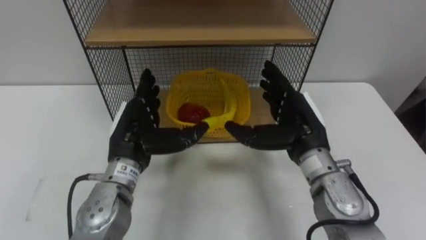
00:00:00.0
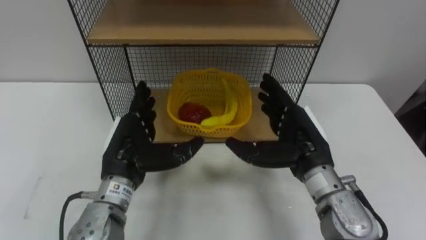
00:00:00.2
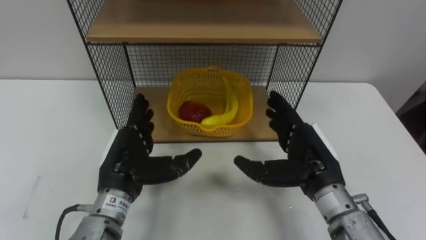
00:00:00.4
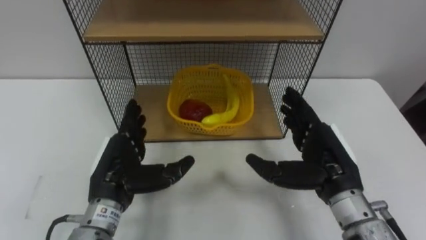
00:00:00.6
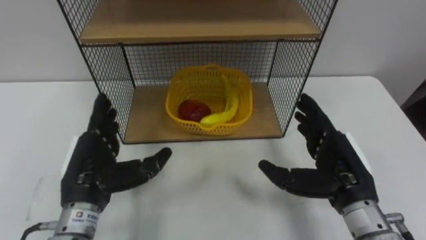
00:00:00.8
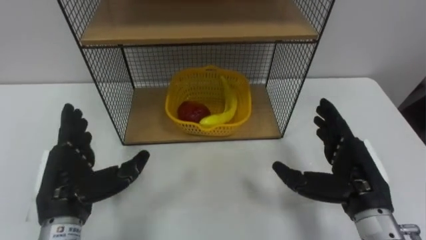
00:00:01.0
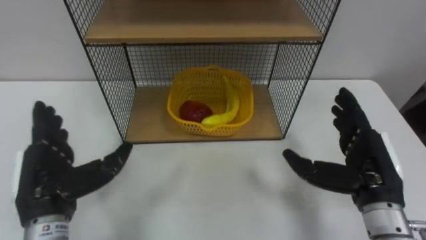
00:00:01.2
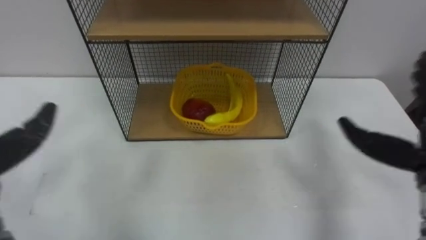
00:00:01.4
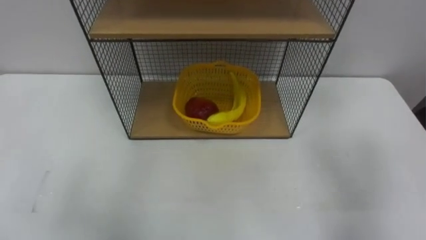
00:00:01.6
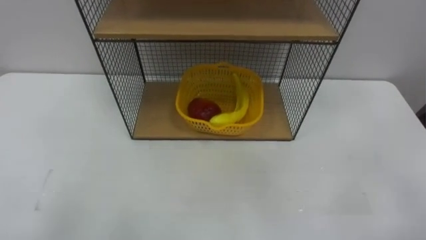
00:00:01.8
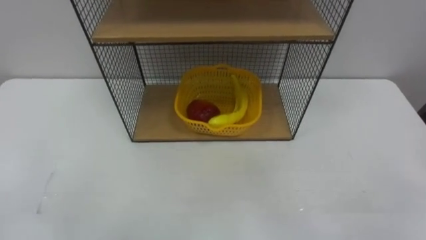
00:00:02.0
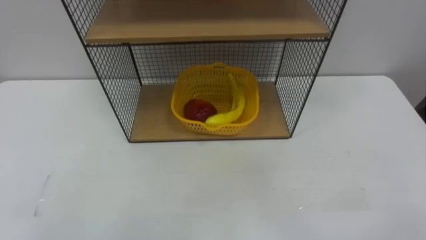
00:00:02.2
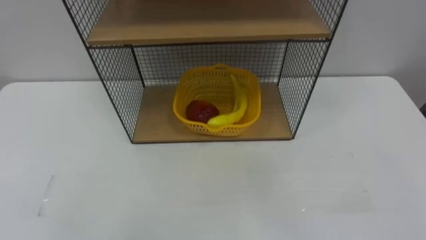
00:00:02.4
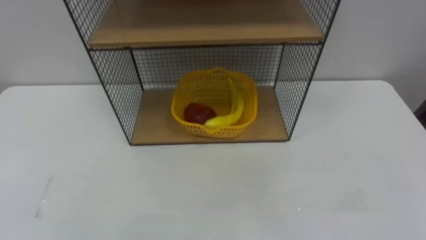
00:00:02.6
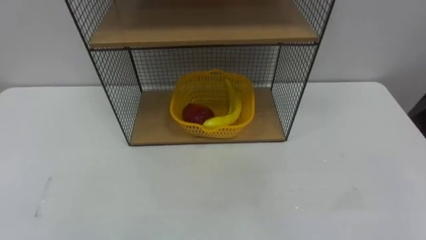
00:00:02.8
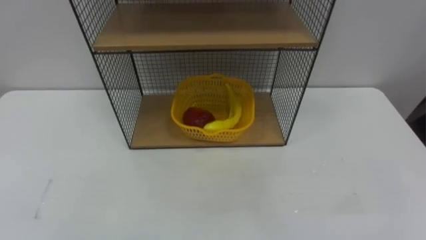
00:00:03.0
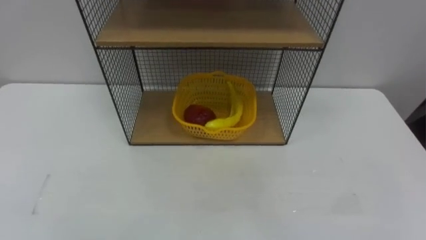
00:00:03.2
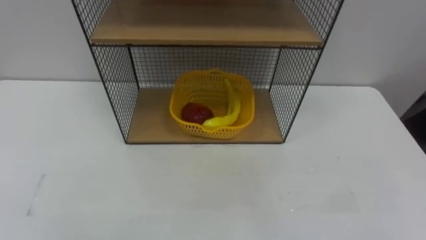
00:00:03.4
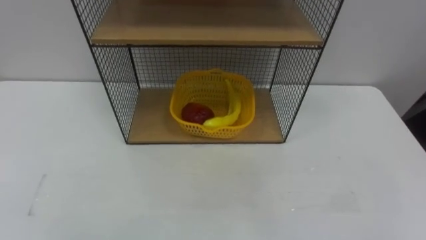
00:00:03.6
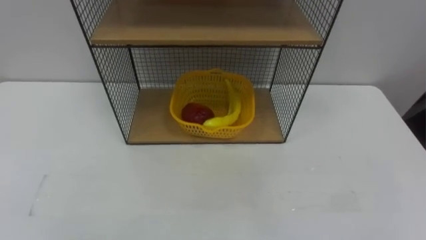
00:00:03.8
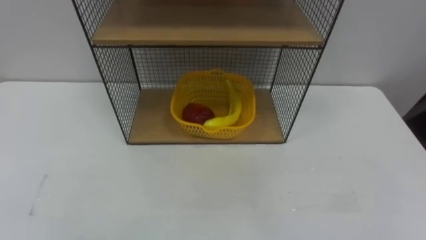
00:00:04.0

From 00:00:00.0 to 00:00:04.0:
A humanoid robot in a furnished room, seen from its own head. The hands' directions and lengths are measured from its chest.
Task of the whole recording: Put the fruit on the table into the basket, then place the basket on the shelf.
From 00:00:00.0 to 00:00:01.4: The right hand is displaced to the right and backward by approximately 15 cm.

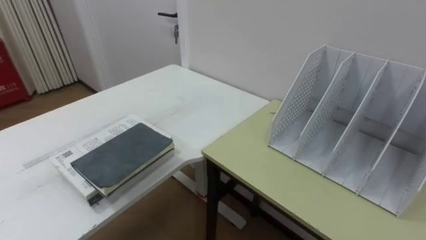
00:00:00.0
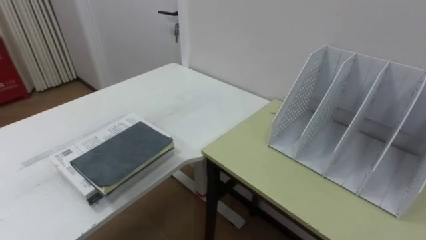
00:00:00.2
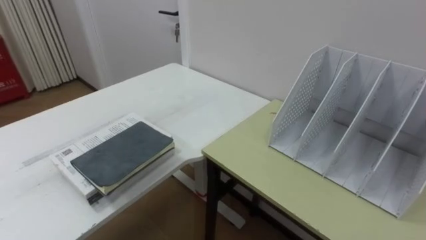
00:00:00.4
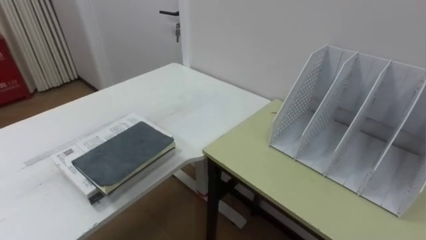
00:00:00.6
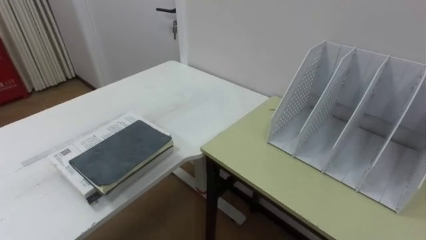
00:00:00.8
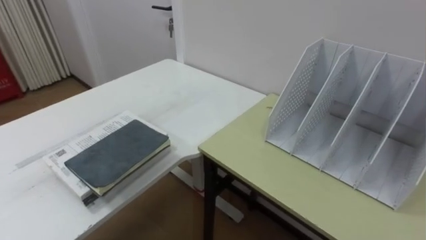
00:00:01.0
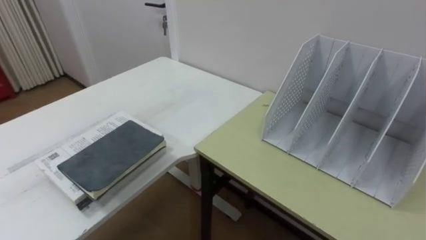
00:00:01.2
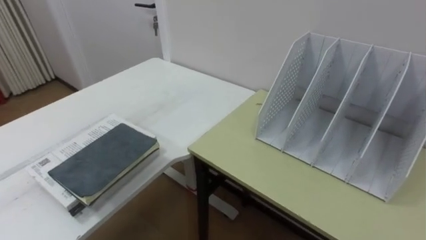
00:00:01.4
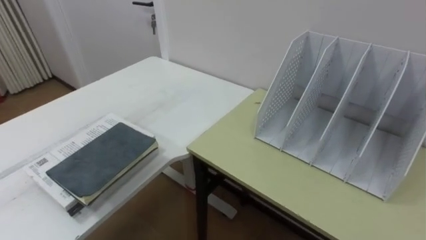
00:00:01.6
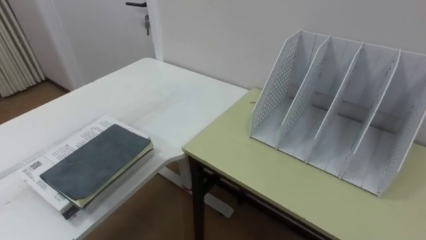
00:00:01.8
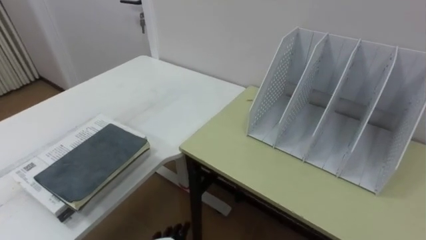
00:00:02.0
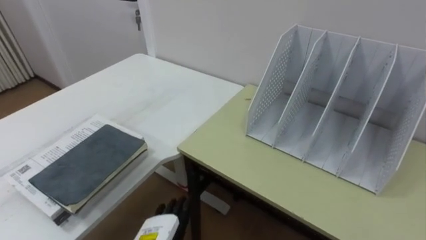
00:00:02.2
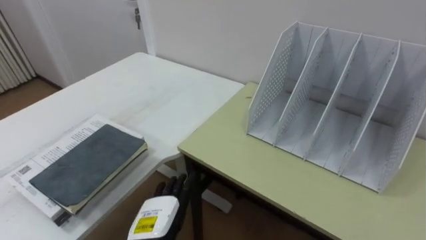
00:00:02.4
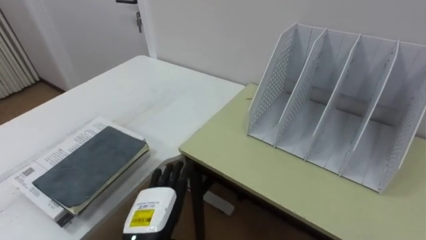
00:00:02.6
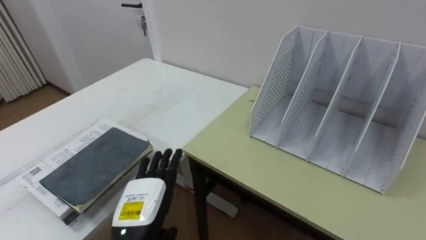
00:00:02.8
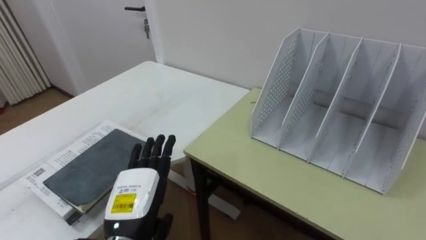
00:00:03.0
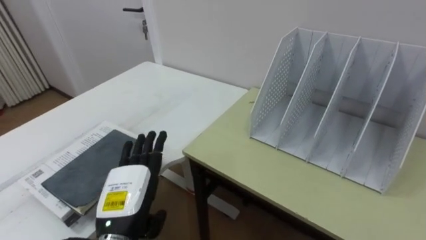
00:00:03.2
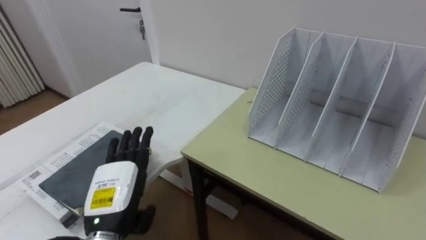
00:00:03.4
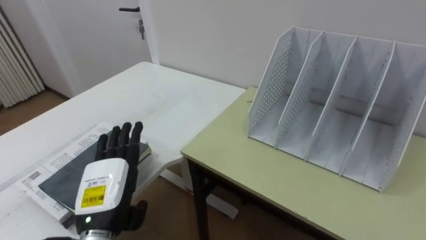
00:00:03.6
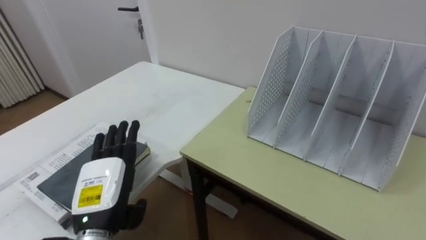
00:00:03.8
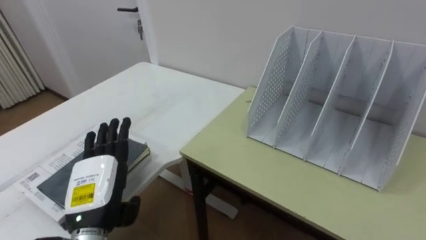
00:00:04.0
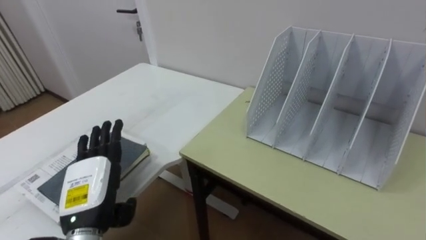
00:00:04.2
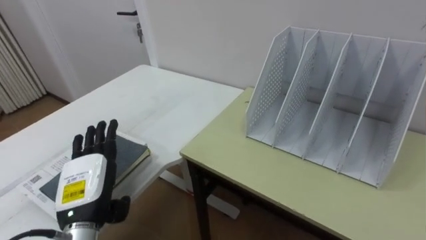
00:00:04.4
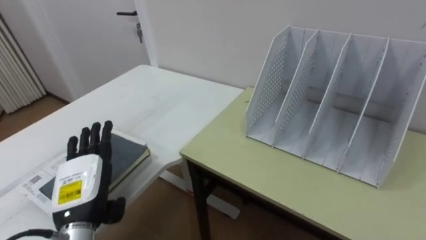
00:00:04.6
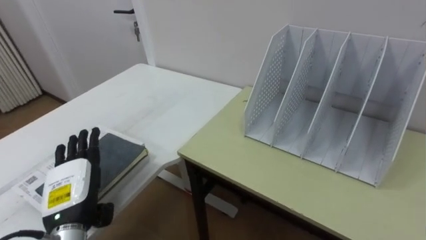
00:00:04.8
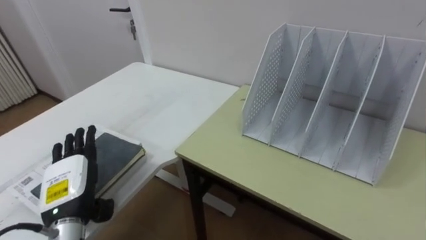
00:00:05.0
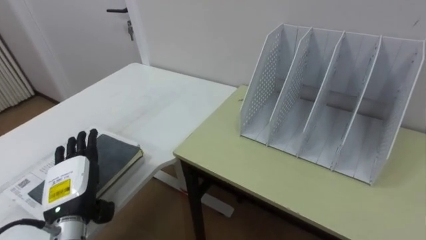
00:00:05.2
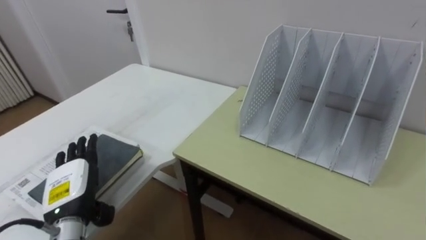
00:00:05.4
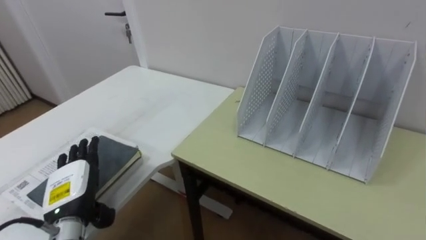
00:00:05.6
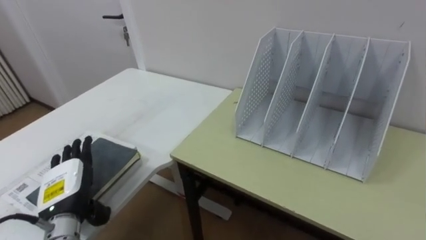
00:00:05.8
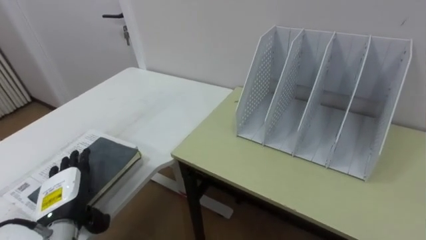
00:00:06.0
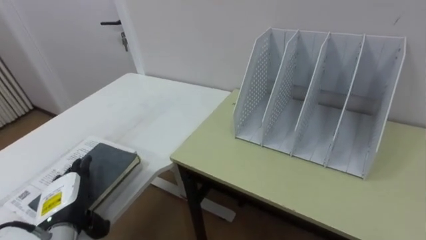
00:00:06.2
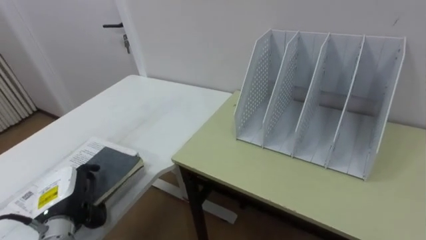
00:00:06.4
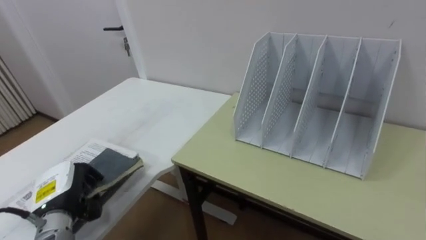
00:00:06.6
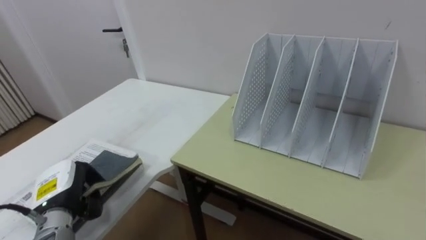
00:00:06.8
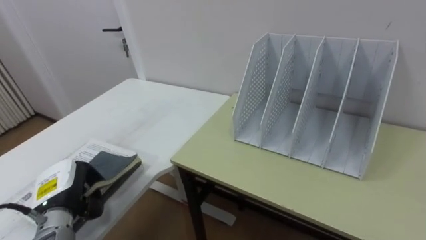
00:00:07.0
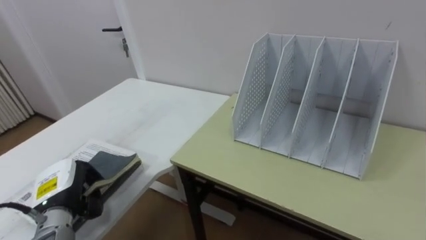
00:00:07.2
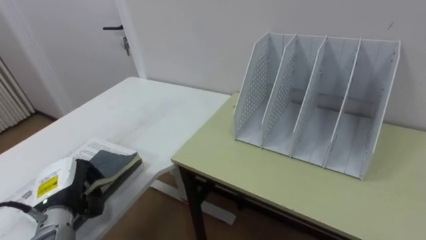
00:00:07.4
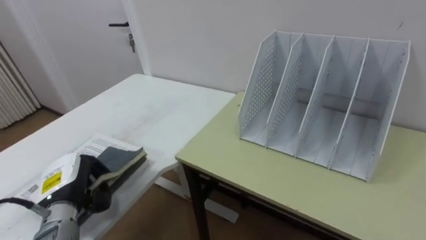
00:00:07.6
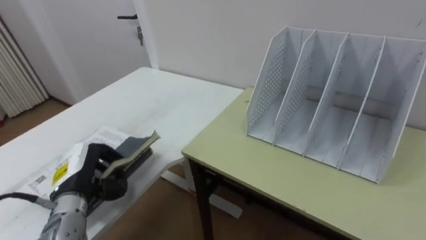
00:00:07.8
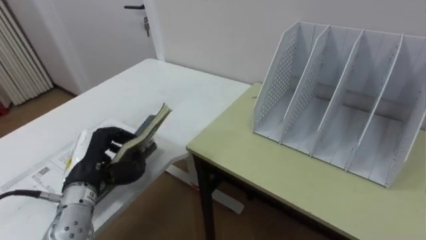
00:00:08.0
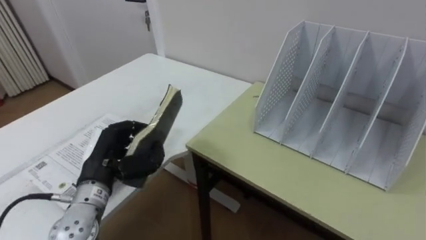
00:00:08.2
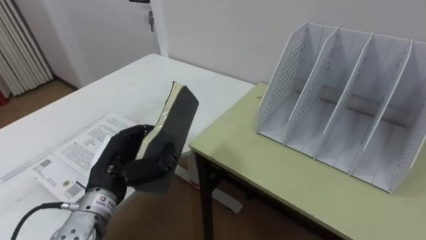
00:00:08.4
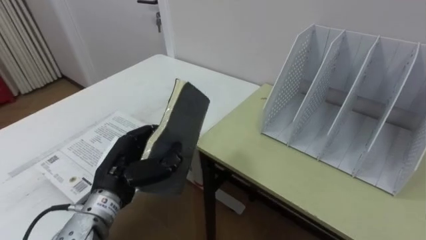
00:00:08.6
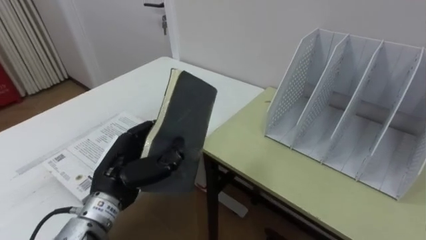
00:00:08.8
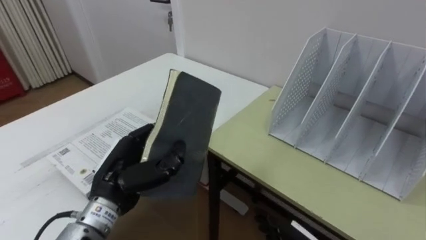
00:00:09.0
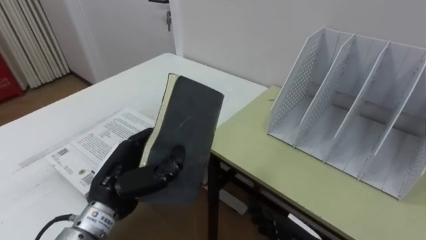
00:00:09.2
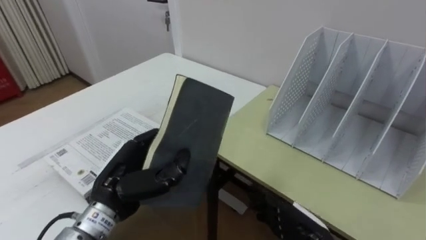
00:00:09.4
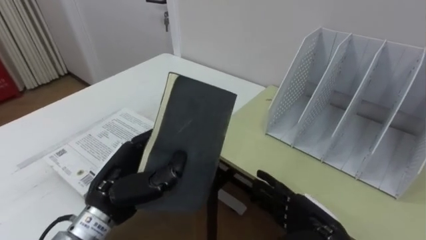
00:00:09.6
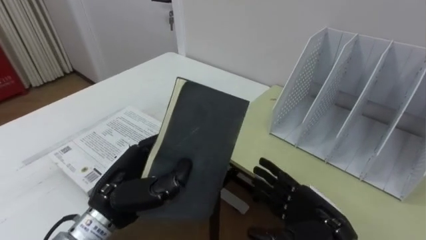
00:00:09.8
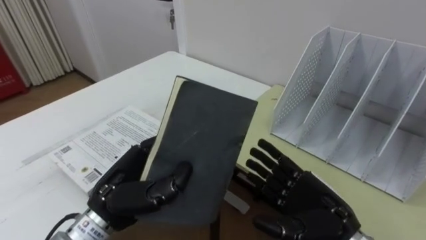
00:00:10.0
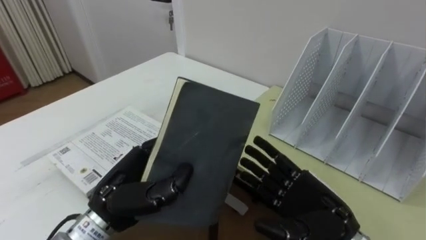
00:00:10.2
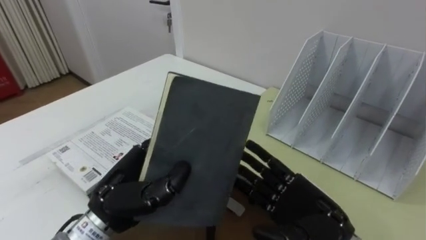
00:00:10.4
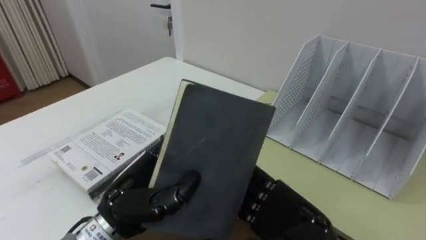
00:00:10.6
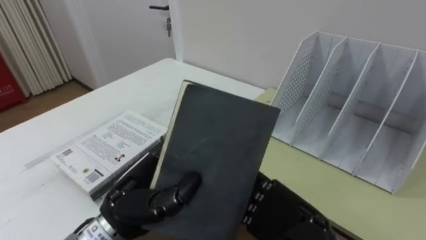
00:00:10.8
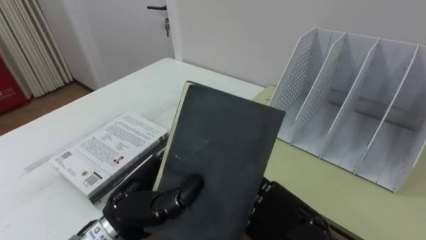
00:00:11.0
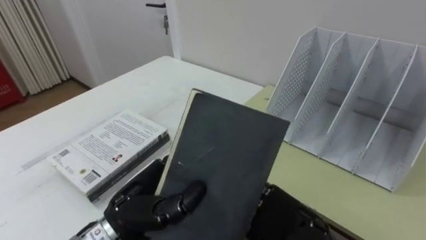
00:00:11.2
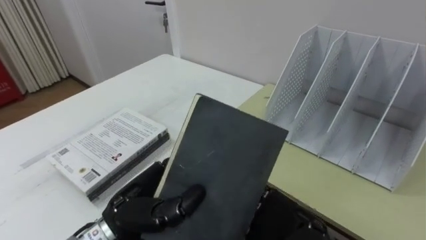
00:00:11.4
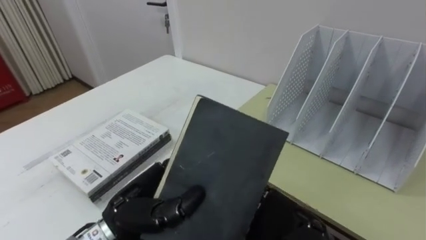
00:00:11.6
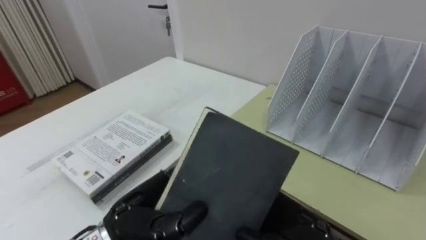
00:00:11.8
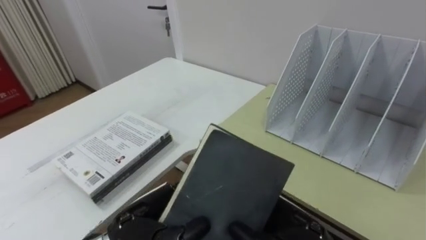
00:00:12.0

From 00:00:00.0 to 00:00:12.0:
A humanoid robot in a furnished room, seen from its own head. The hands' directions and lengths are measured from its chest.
Task of the whole recording: Put the books on the table onto the bookshelf.
From 00:00:03.0 to 00:00:04.4: The left hand travels to the left by approximately 10 cm.
From 00:00:04.4 to 00:00:06.0: The left hand moves to the left and downward, about 10 cm.
From 00:00:06.0 to 00:00:07.6: The left hand closes.
From 00:00:07.6 to 00:00:09.0: The left hand heads to the right and upward, covering about 15 cm.
From 00:00:09.0 to 00:00:10.4: The right hand moves upward, some 15 cm.
From 00:00:10.4 to 00:00:12.0: The right hand closes up. The left hand changes place by roughly 5 cm.

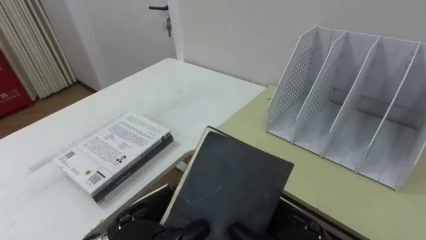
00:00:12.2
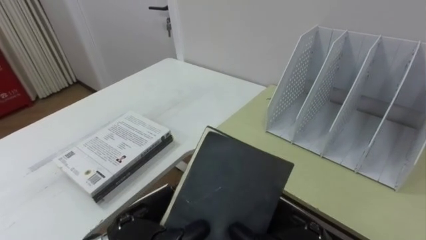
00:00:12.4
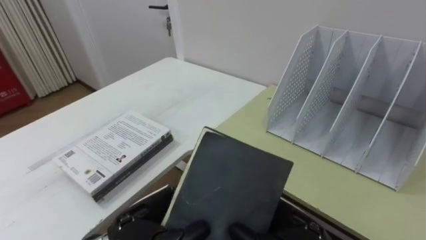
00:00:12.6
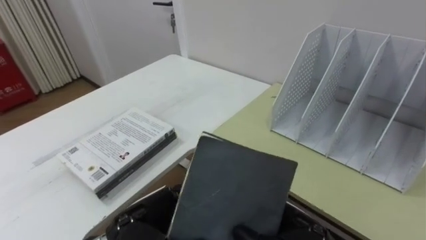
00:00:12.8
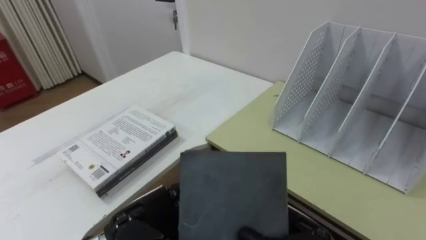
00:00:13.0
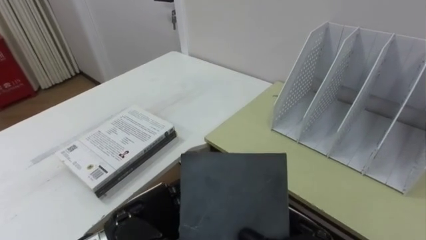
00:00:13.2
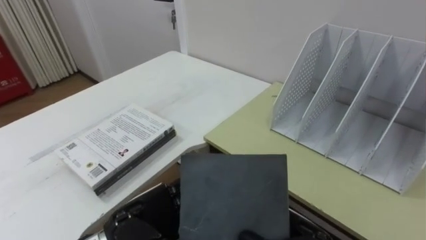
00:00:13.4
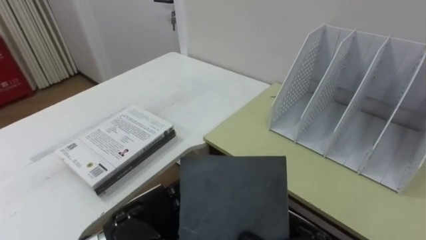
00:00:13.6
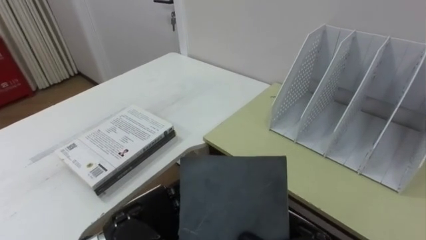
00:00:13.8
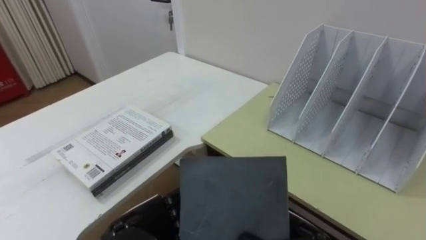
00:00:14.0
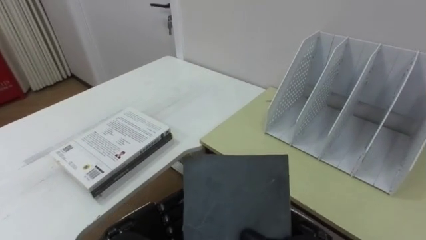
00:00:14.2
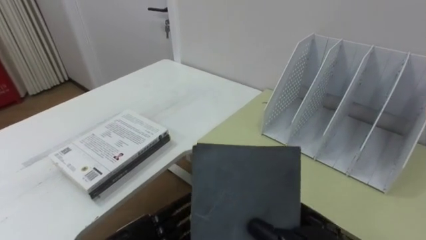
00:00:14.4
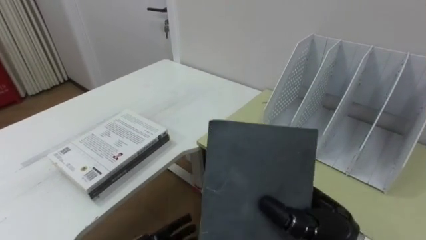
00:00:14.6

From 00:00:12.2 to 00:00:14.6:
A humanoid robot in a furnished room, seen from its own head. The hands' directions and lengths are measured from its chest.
Task of the whole recording: Put the books on the table onto the bookshelf.
From 00:00:12.2 to 00:00:13.4: The left hand opens its fingers.
